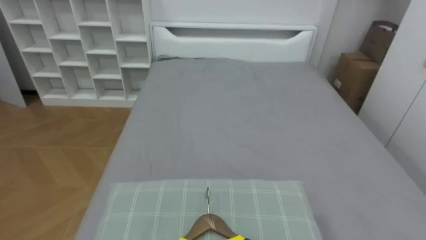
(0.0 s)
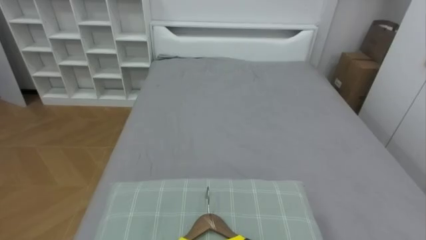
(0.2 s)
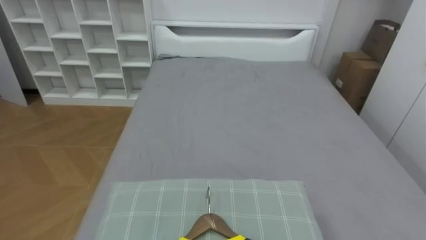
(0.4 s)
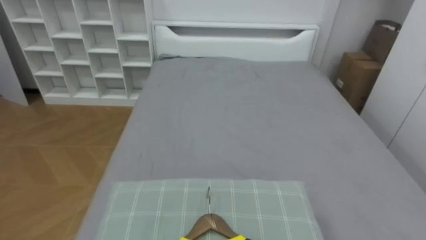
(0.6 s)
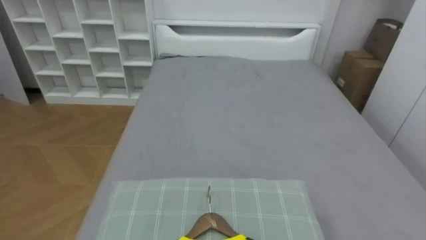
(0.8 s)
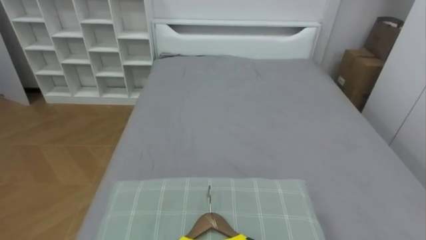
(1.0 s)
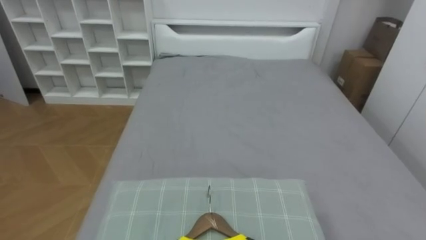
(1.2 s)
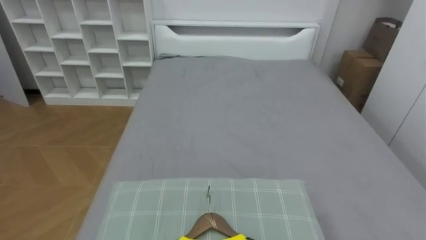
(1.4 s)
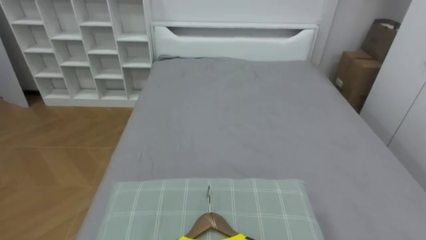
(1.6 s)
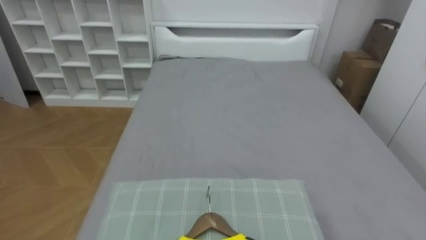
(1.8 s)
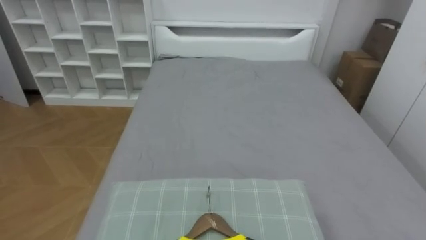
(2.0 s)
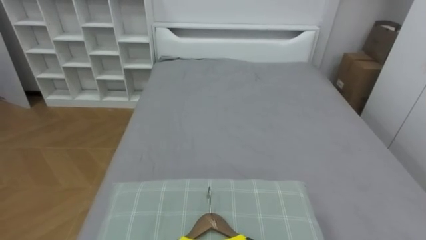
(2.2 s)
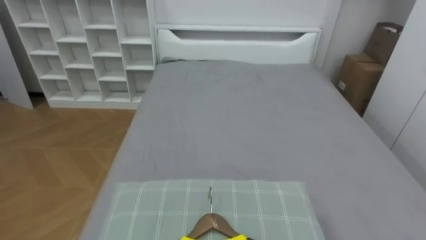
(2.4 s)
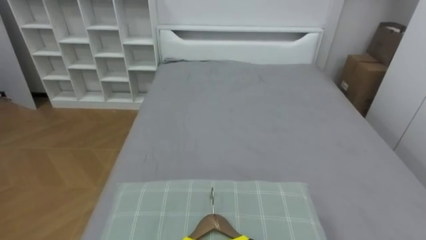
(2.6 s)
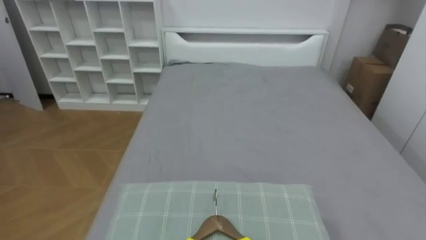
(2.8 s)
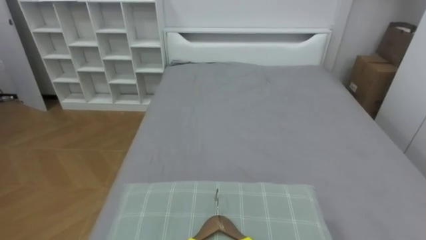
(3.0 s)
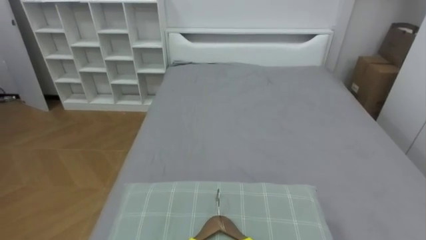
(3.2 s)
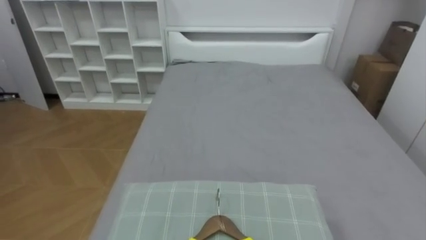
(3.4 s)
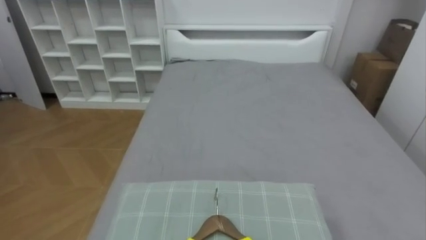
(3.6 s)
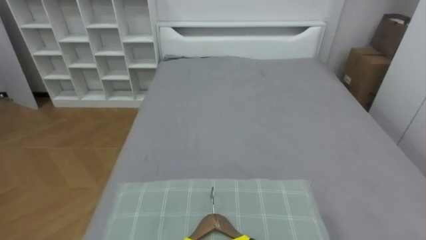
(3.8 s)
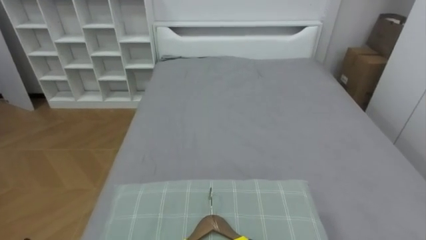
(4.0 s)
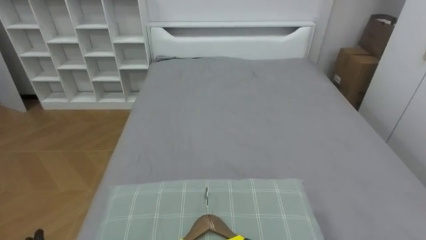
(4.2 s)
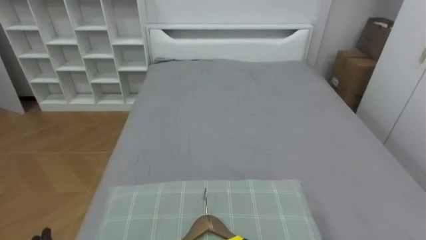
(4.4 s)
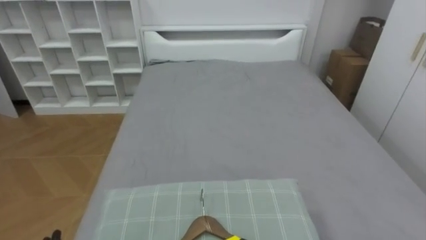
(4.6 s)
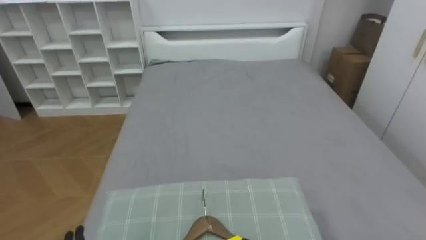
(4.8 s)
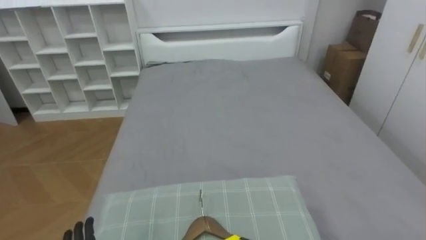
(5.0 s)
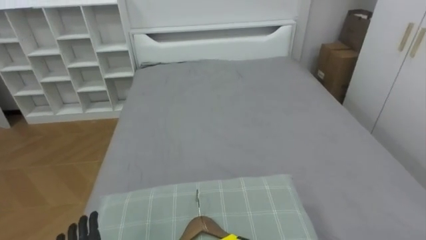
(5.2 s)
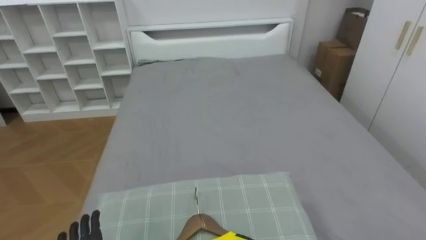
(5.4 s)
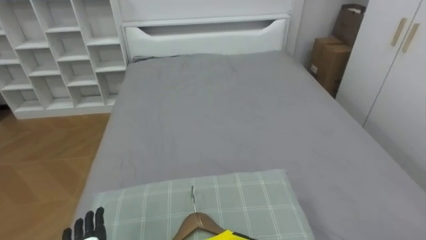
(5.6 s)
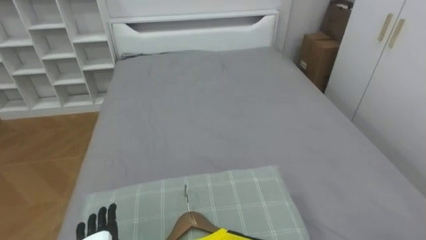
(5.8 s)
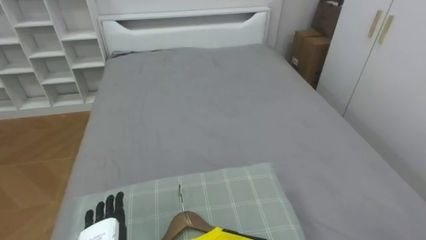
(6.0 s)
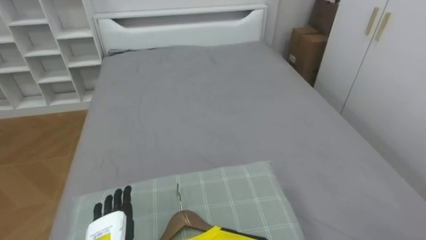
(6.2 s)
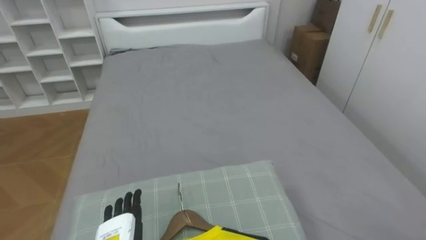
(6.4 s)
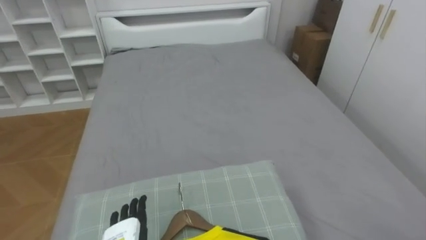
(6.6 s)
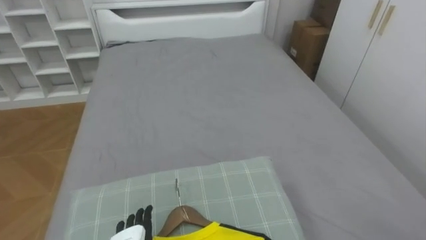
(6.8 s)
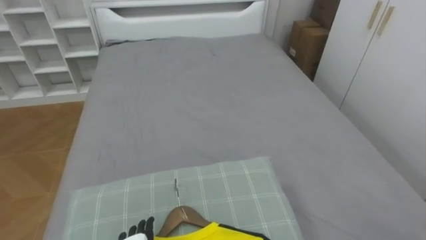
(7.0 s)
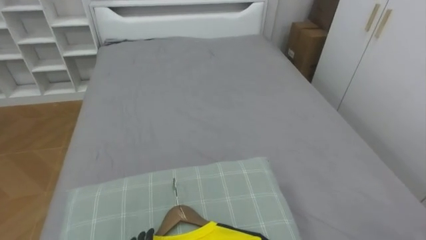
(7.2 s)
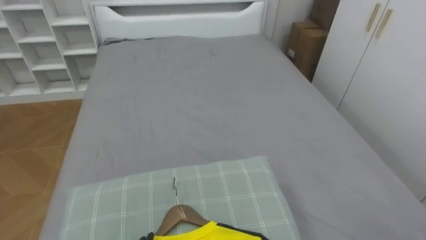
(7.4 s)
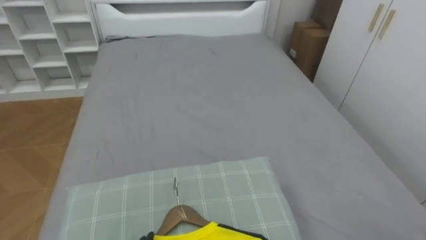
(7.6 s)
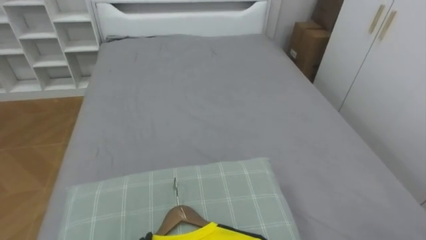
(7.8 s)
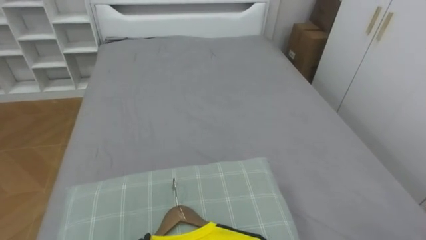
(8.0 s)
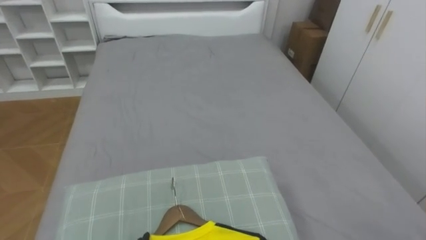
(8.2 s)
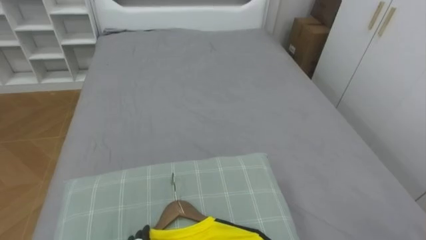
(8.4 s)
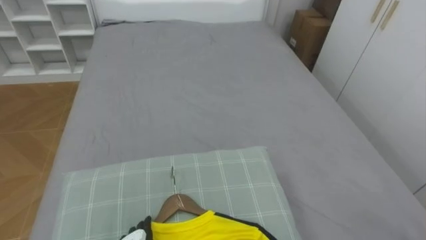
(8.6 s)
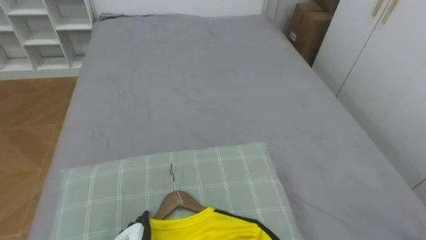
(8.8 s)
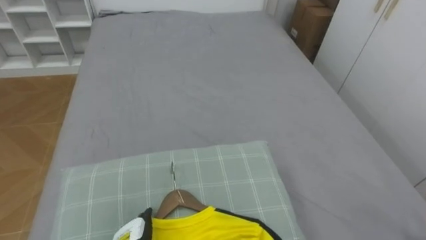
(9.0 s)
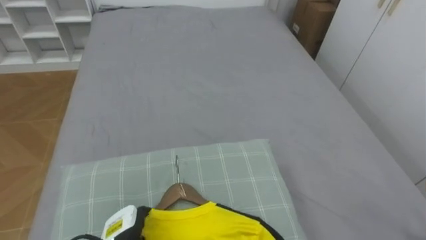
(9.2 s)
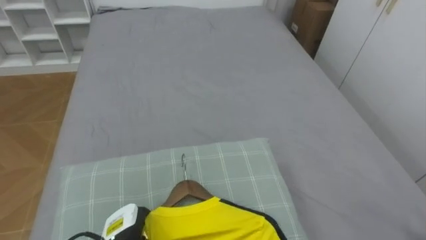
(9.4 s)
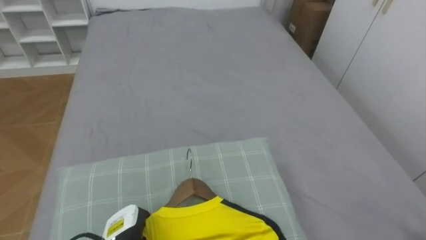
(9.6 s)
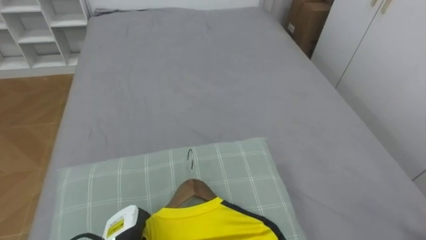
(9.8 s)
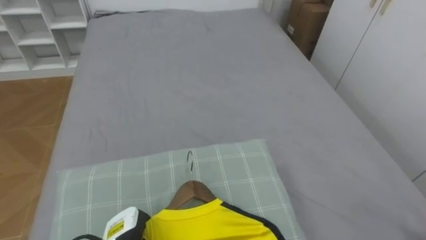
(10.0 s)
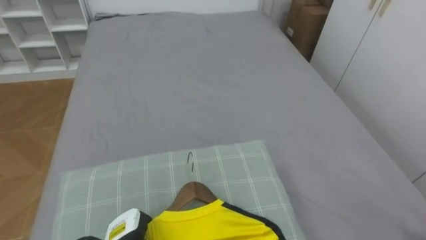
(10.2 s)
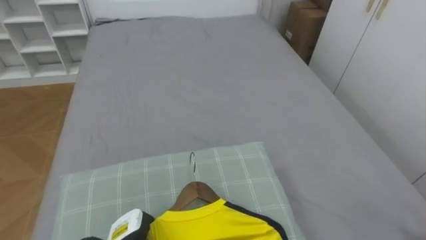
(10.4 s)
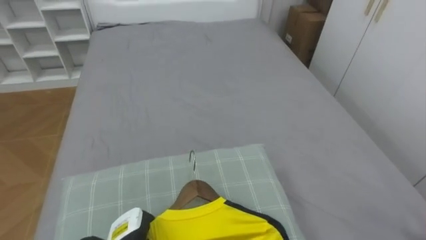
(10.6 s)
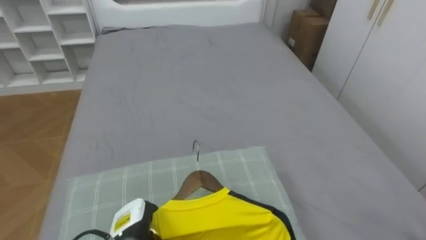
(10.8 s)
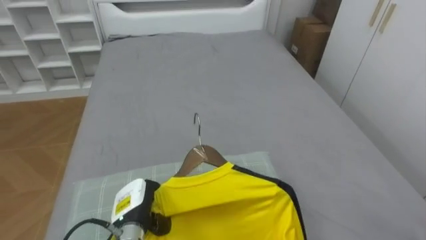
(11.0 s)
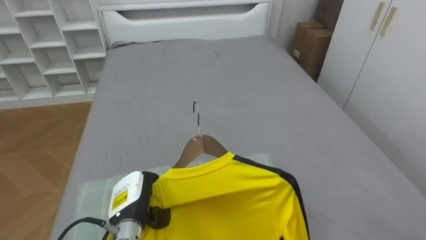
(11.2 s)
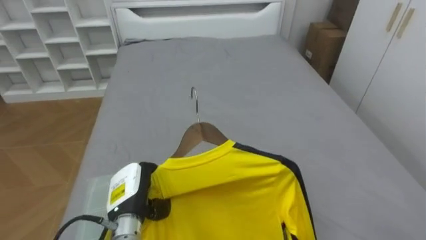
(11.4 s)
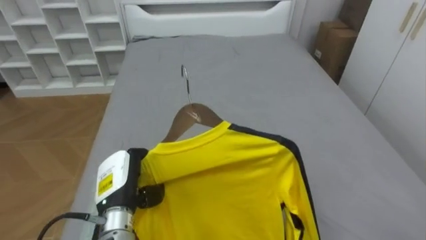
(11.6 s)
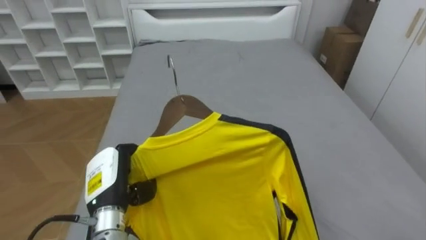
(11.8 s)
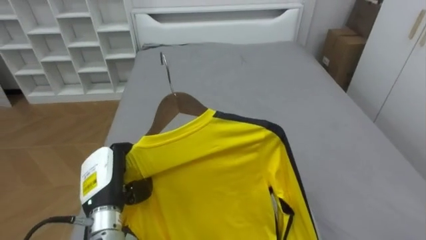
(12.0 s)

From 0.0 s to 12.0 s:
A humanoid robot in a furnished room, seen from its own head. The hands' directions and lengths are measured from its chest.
Task of the whole recording: Pick up the yellow shirt on the bed and hang it on the clothes rack on the right.
From 9.0 s to 10.4 s: The left hand closes.
From 10.4 s to 12.0 s: The left hand heads upward, covering approximately 15 cm.

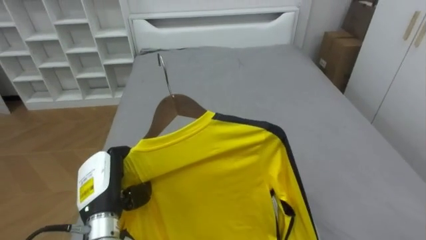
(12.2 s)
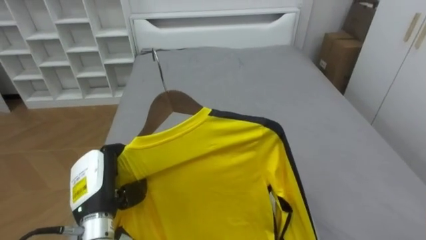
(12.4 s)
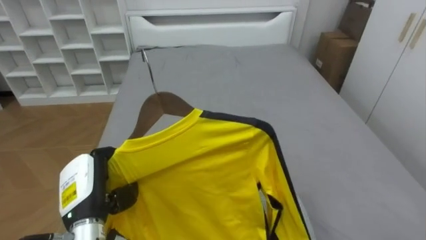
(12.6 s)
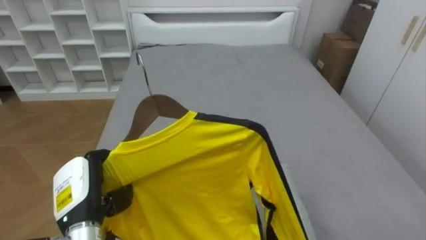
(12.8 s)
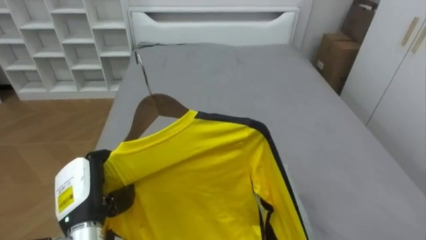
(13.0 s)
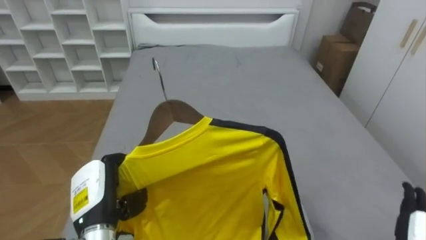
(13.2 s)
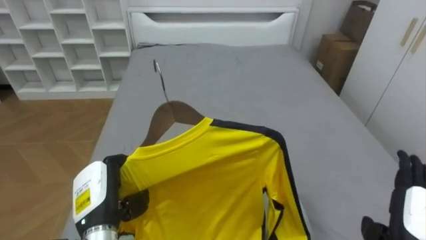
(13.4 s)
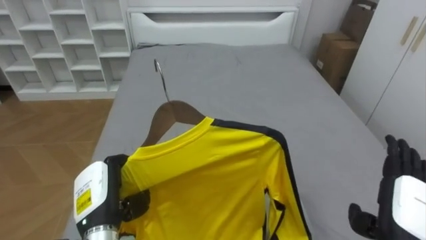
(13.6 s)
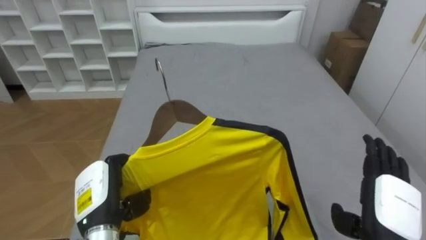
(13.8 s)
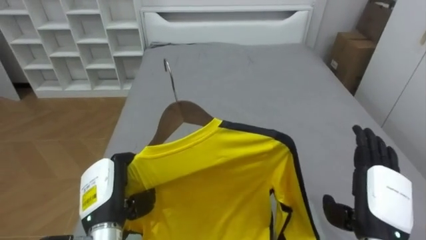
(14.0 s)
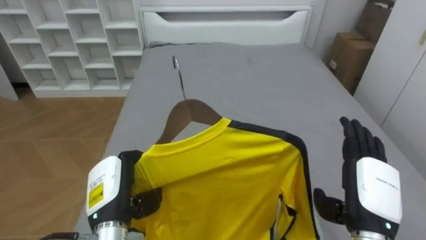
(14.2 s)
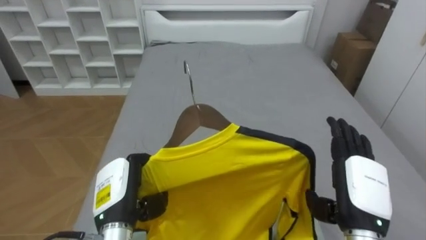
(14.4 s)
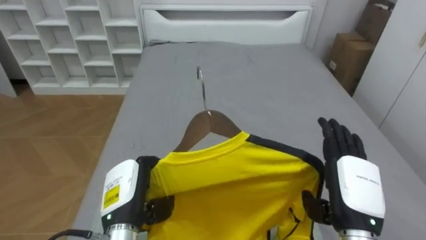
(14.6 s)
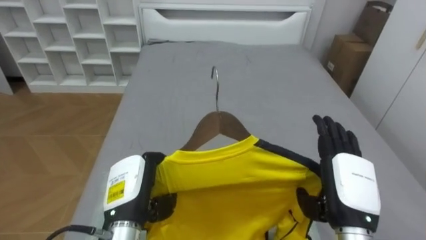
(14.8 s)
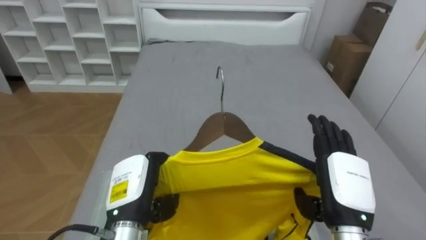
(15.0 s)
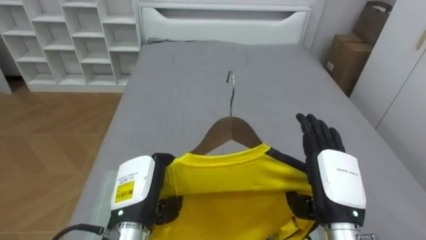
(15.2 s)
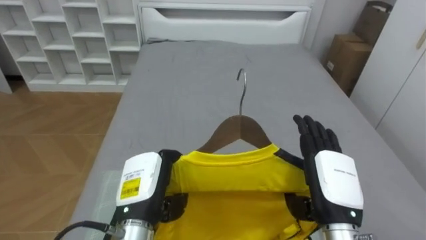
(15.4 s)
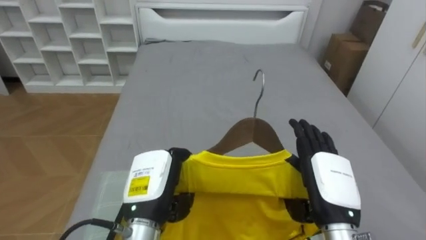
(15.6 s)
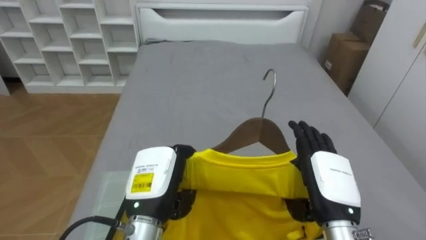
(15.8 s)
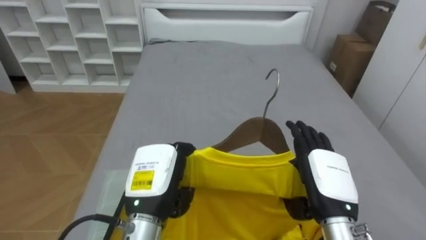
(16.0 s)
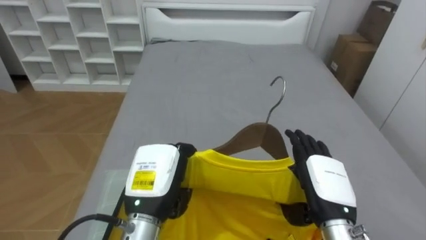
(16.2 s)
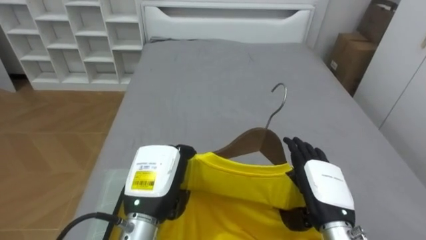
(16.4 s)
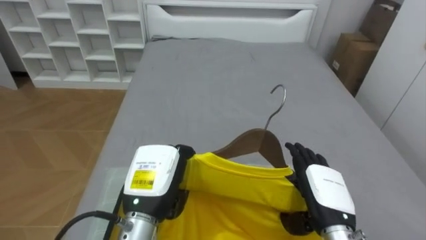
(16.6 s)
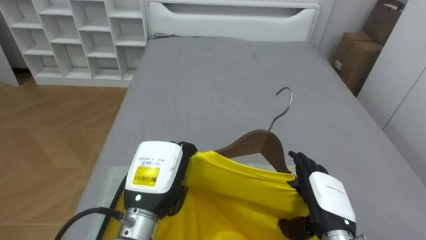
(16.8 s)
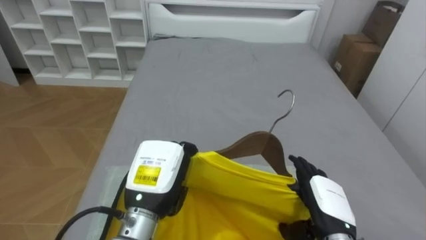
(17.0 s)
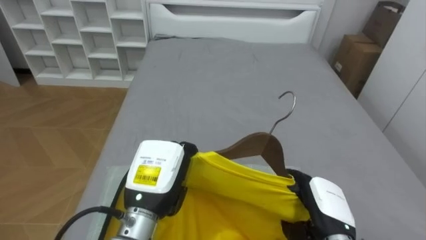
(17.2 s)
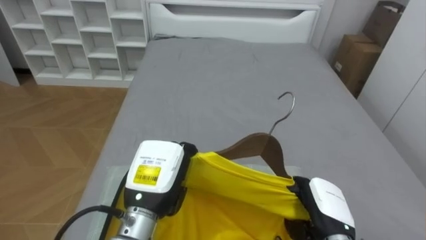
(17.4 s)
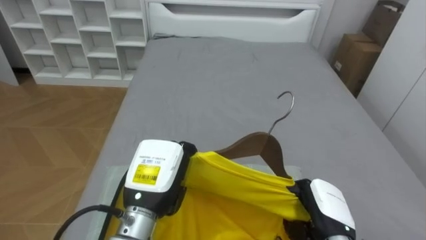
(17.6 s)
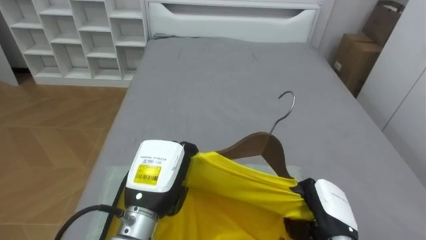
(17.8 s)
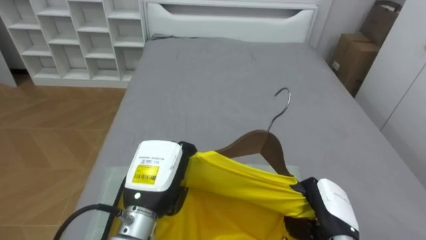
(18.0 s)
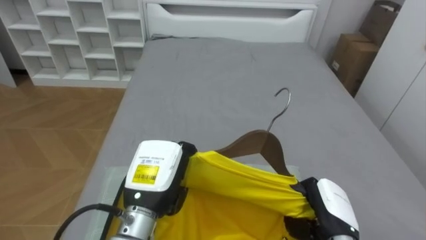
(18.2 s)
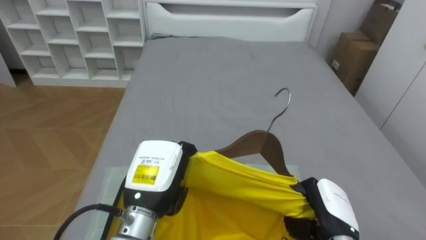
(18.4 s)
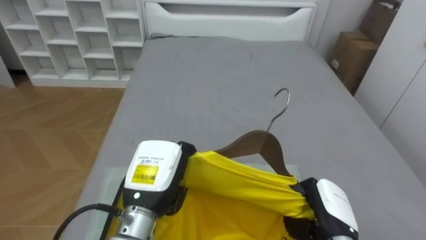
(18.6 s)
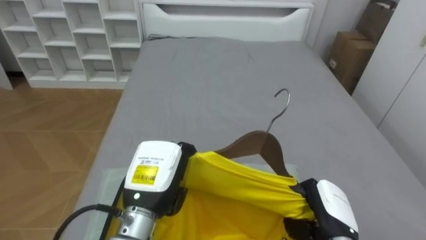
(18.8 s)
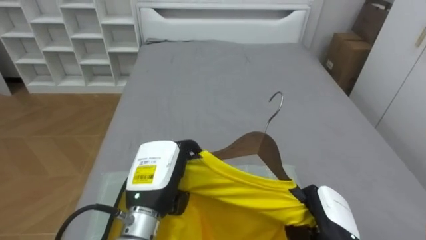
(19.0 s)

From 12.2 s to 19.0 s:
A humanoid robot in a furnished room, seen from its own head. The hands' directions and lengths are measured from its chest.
Task of the whole recording: Pick up the yellow shirt on the bed and hang it on the clothes rack on the right.
From 13.6 s to 15.0 s: The right hand travels to the left by about 10 cm; the left hand is displaced to the right by approximately 5 cm.
From 15.0 s to 16.2 s: The left hand changes place by approximately 5 cm.
From 16.2 s to 17.6 s: The right hand is displaced downward by roughly 5 cm, and closes up.
